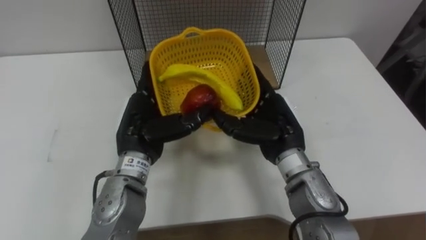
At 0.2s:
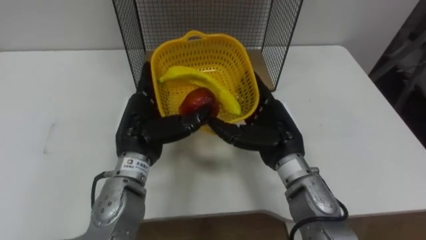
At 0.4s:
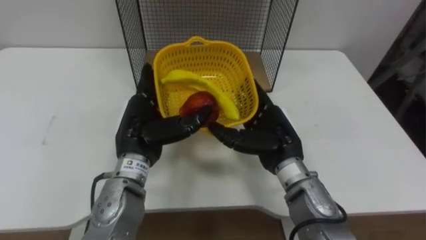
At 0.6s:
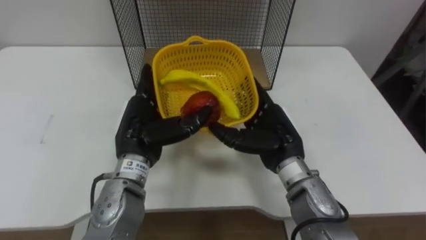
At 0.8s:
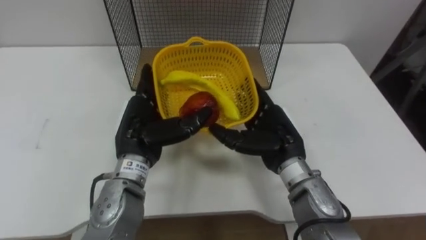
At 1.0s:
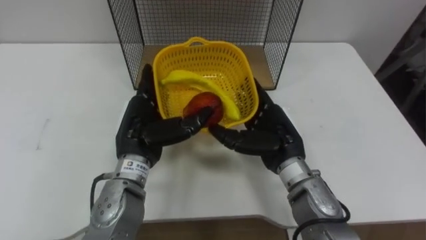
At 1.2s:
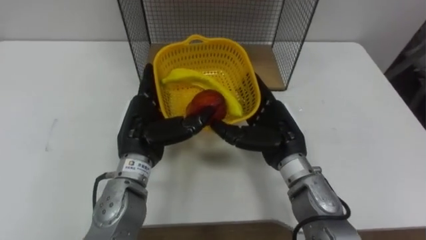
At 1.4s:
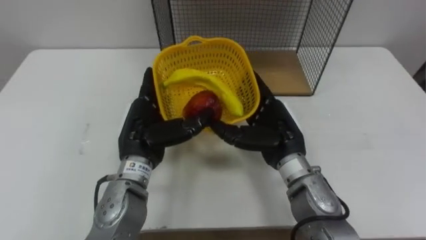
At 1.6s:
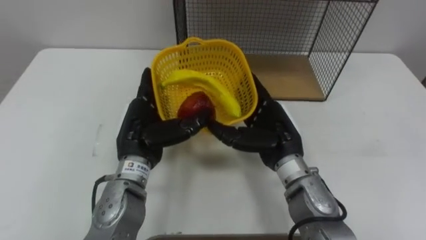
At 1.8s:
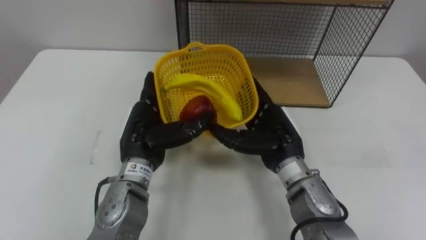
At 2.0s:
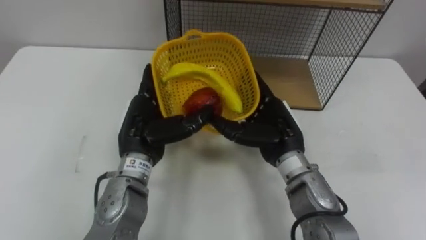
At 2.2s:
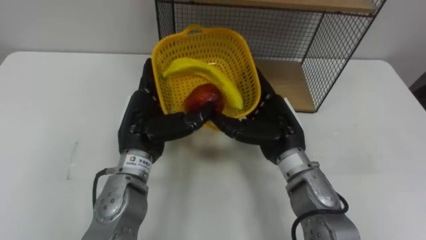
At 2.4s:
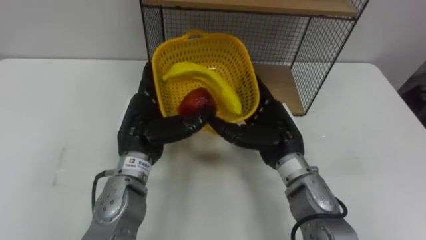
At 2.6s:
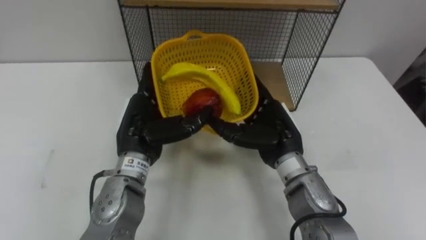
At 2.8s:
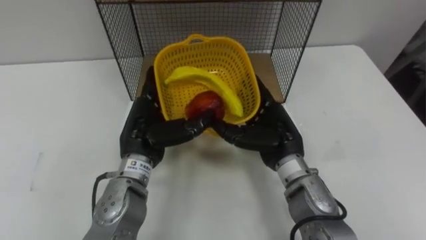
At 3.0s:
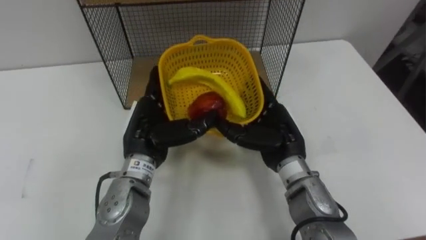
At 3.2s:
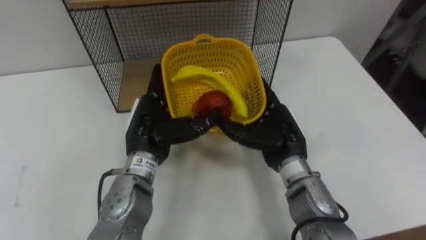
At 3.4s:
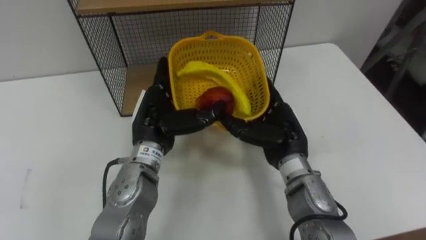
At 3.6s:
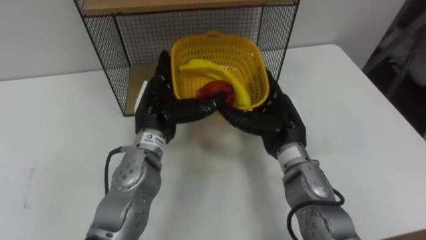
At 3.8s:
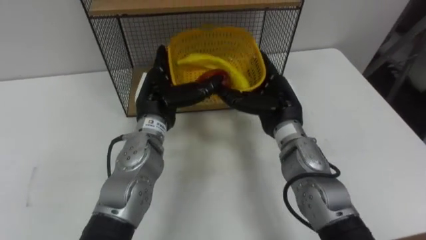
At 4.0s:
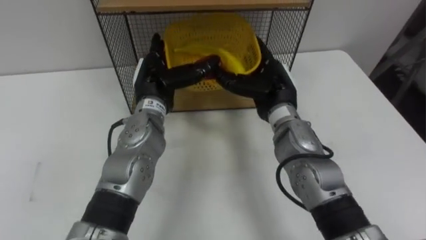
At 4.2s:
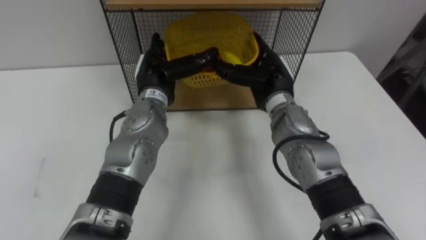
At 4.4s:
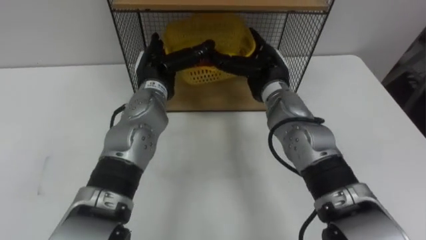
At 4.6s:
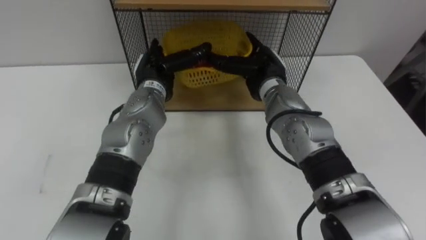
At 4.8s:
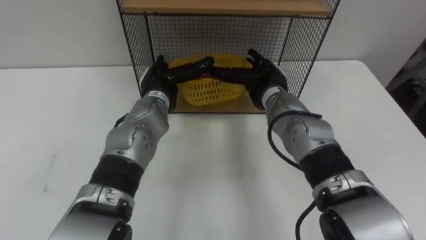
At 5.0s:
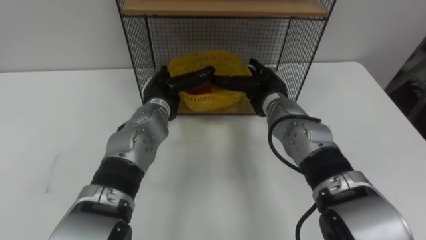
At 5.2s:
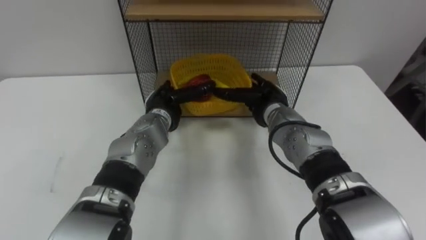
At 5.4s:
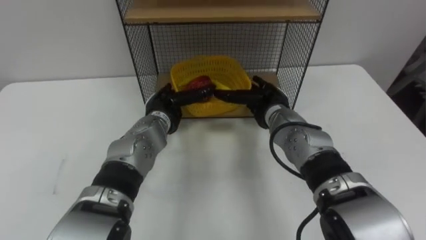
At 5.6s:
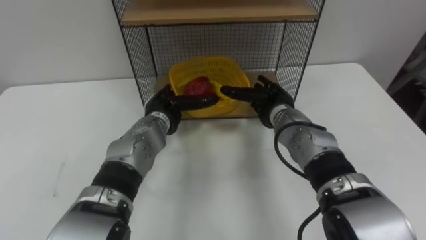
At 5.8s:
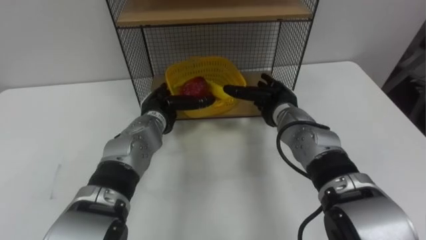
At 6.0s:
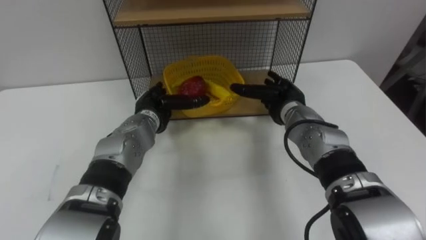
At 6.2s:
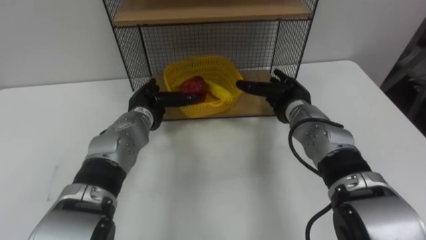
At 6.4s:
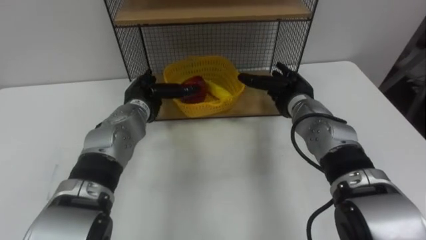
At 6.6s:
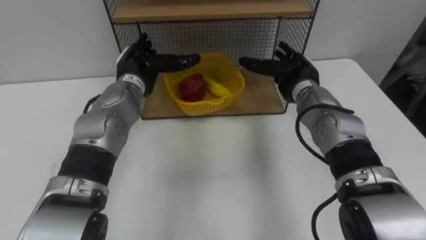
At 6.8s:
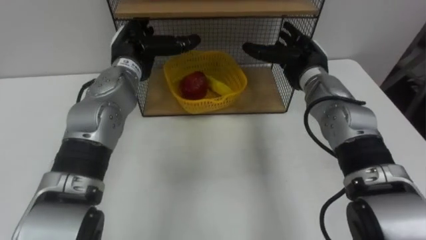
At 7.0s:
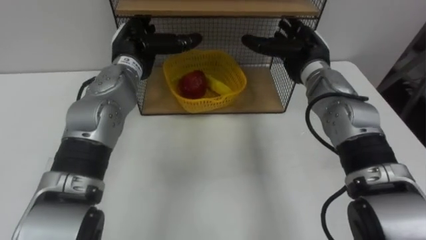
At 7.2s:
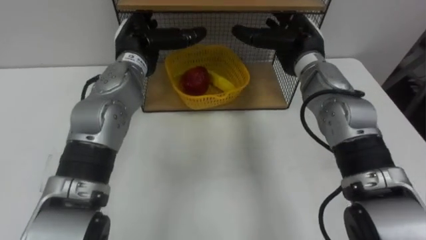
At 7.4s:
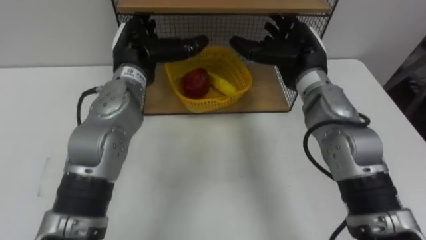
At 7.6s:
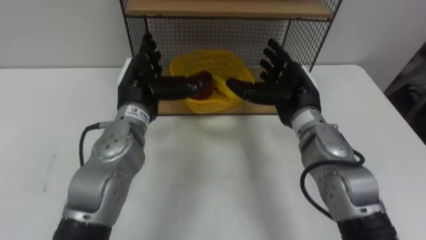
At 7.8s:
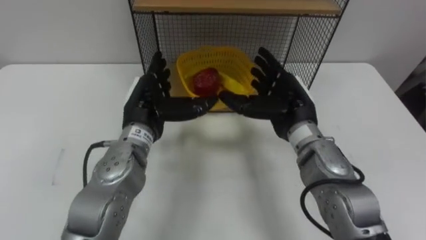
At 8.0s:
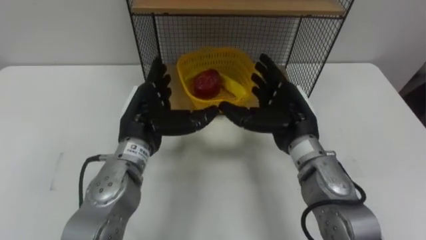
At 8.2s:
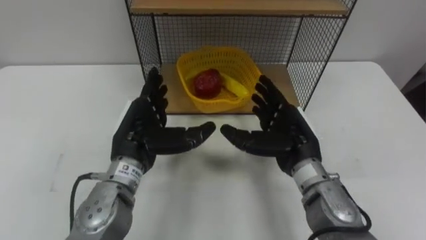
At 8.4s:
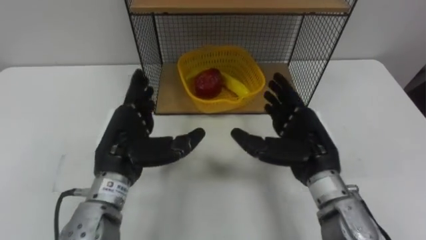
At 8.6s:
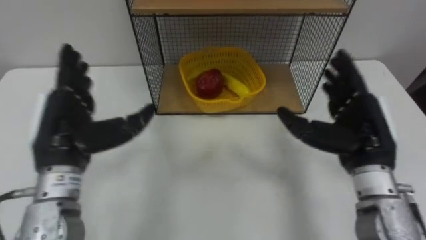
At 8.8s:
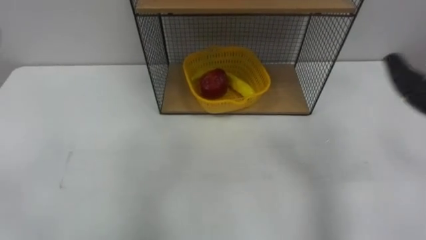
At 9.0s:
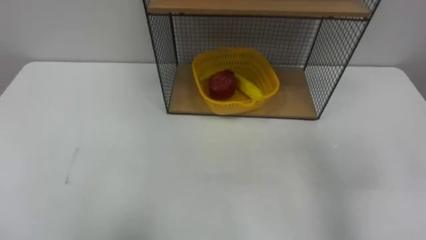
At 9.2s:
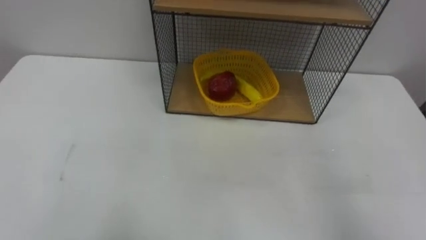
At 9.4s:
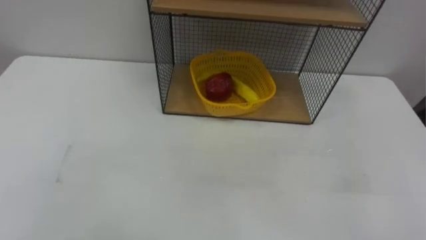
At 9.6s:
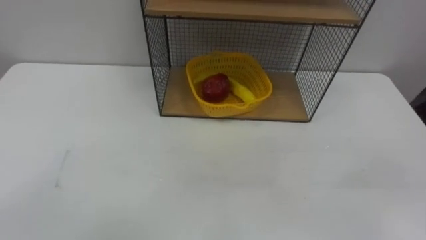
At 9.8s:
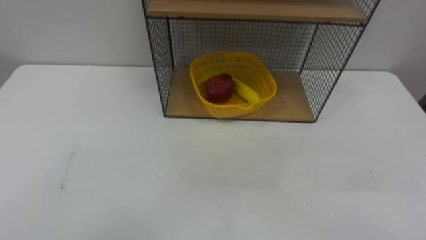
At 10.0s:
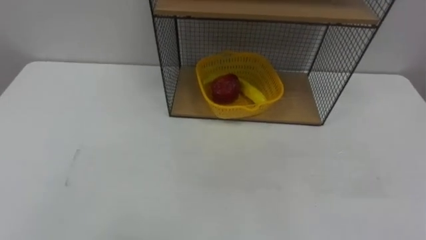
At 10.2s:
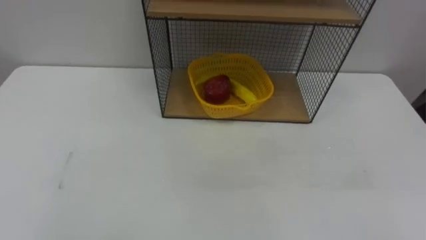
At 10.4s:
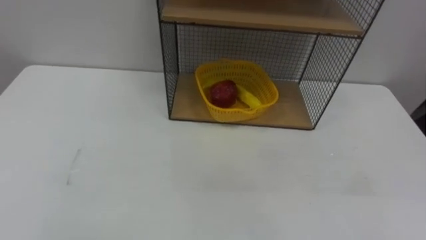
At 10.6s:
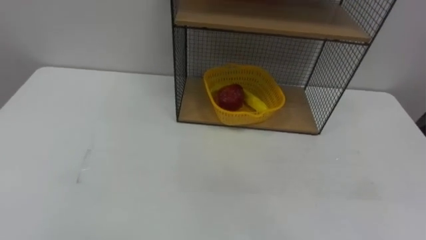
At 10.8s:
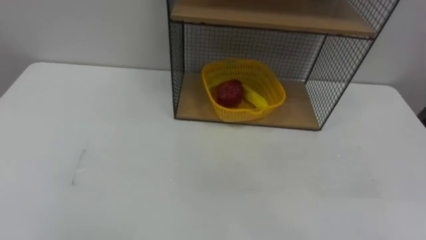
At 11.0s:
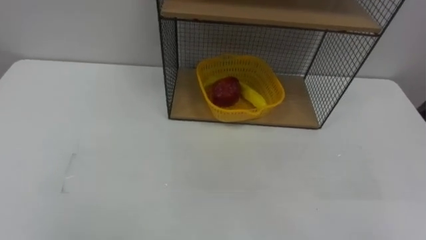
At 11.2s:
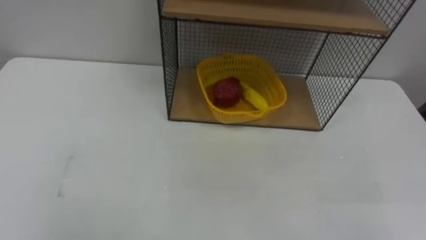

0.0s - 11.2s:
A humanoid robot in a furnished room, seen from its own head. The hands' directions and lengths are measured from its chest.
Task of the whole recording: Put the fruit on the table into the basket, then place the basket on the shelf.
3.2s - 4.8s: The hands both shift forward by approximately 10 cm.
4.8s - 6.4s: The left hand ends up about 5 cm from where it was. Meanwhile the right hand goes approximately 5 cm to the right.
6.4s - 8.0s: The hands both shift backward and upward by about 10 cm.

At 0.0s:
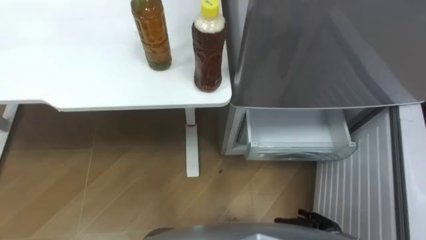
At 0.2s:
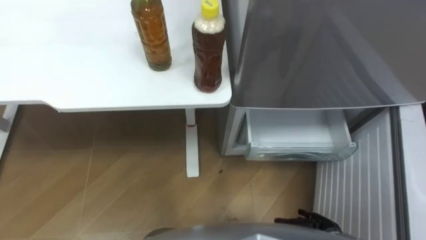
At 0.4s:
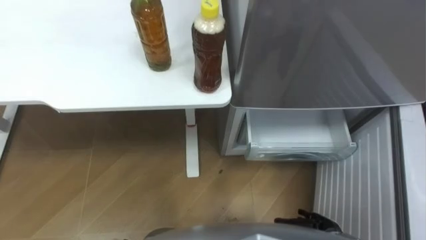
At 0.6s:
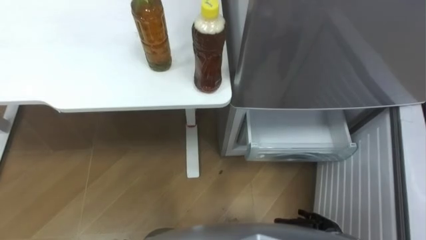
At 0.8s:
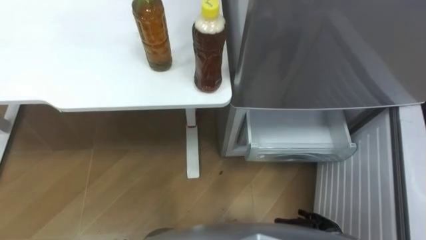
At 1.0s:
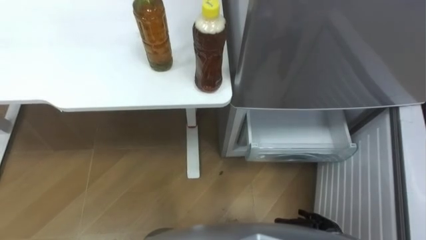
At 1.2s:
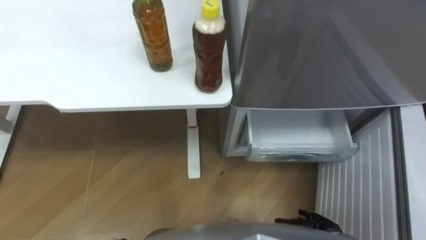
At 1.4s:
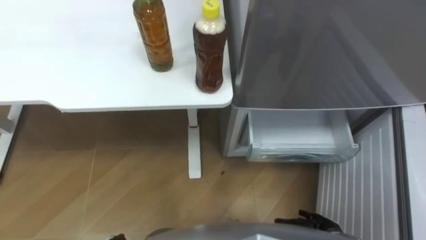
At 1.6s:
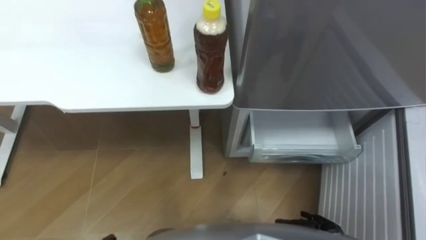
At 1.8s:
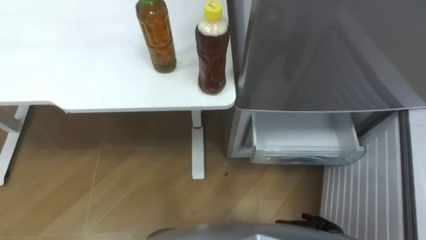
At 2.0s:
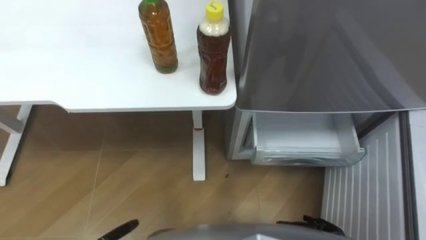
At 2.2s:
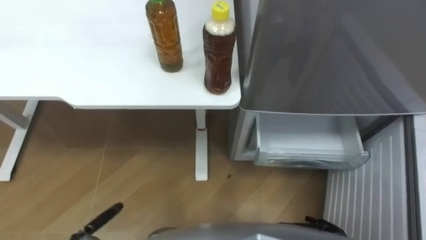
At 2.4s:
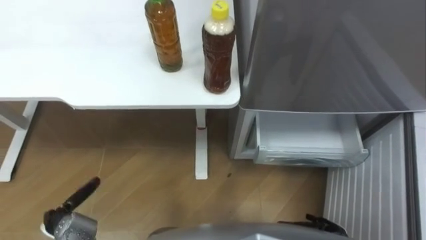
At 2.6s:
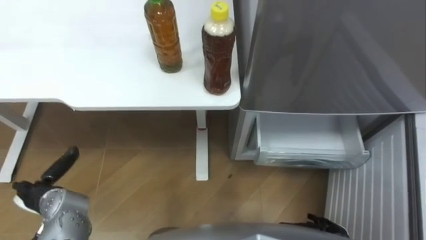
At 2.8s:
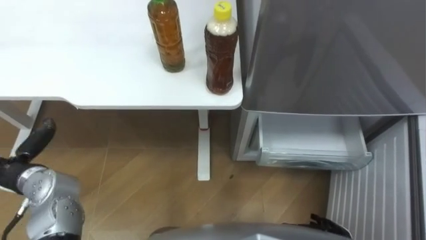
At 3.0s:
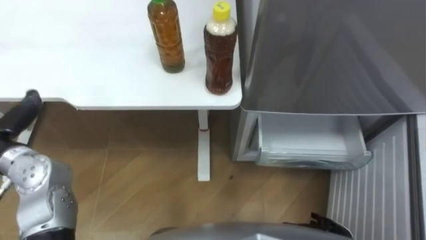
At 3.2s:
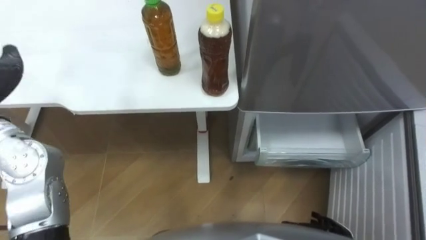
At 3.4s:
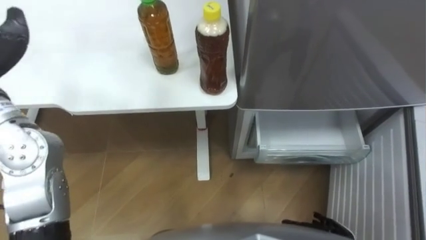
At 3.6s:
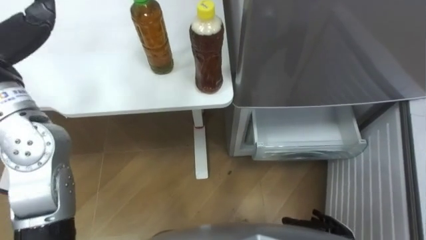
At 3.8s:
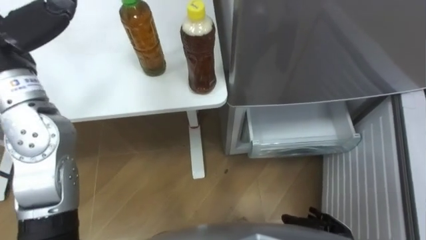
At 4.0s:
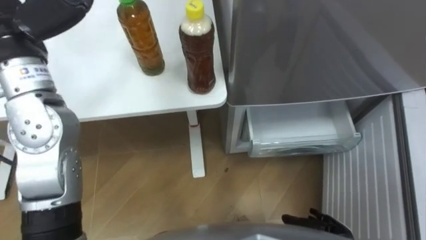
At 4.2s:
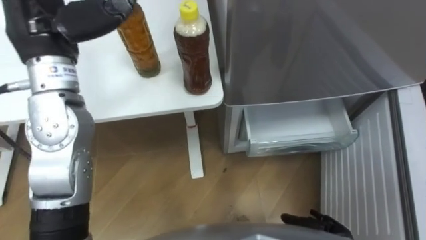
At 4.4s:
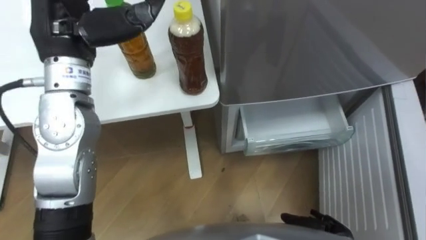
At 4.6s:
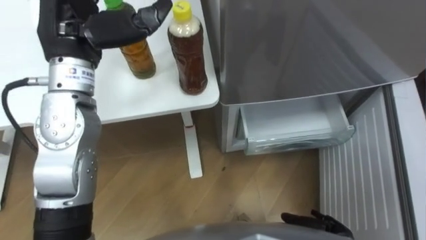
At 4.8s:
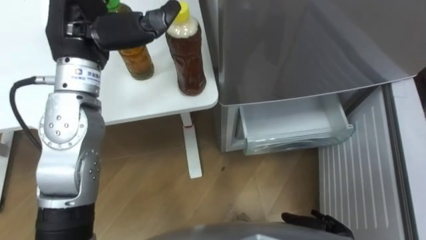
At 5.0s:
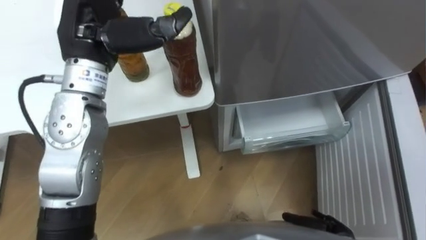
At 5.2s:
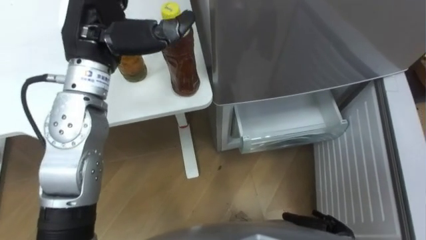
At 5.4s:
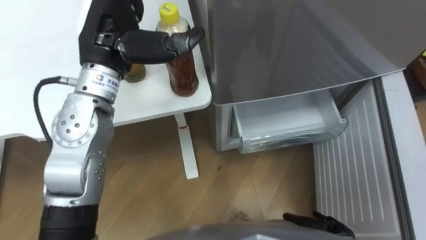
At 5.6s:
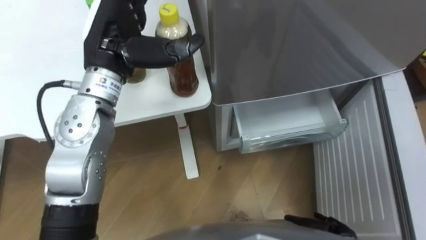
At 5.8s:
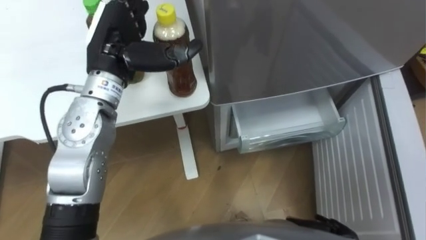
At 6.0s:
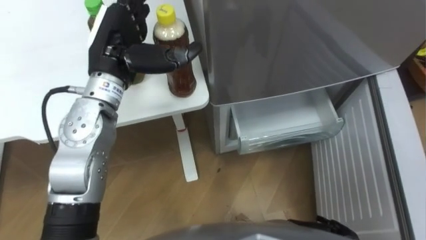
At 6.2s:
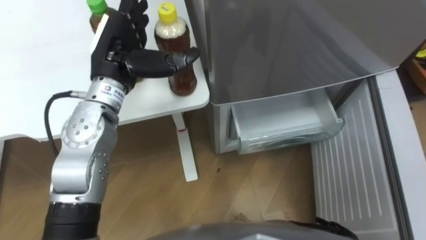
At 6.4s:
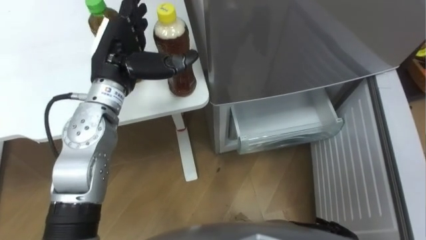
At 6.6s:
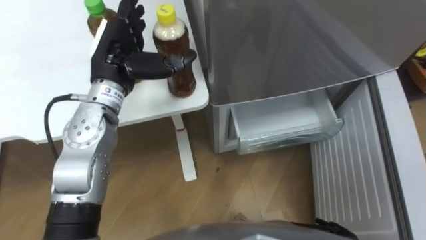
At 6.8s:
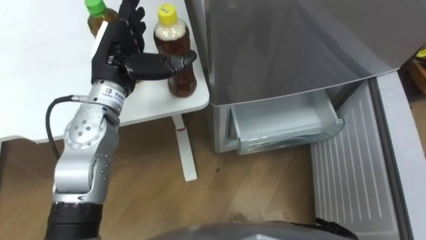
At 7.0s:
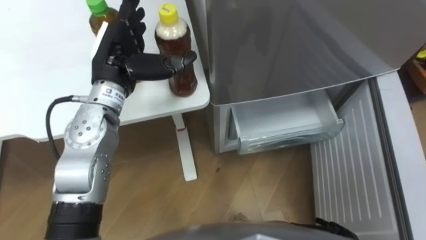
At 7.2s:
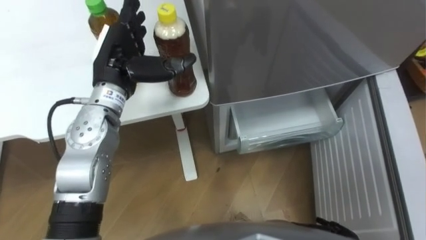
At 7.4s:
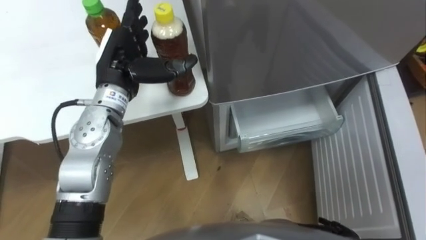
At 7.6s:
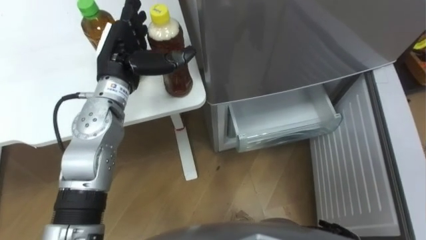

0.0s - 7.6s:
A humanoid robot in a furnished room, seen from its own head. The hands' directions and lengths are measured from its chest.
Task of the whole recording: Place the drink on the table on the bottom shelf of the refrigerator, then close the drawer and the refrigerator door.
4.6s - 6.0s: The left hand heads downward, covering approximately 5 cm.
